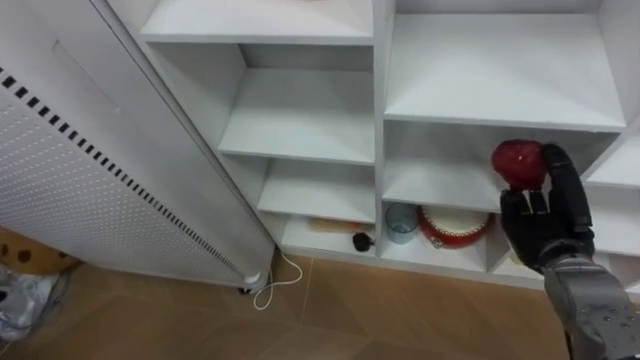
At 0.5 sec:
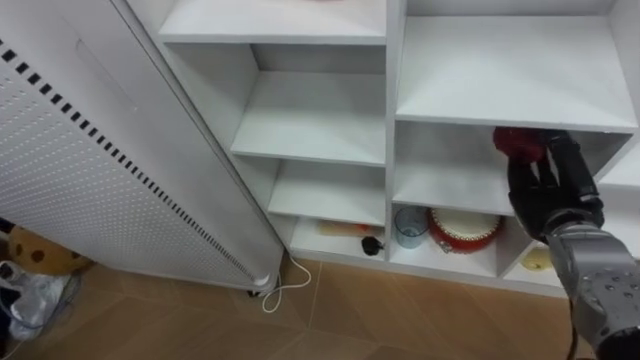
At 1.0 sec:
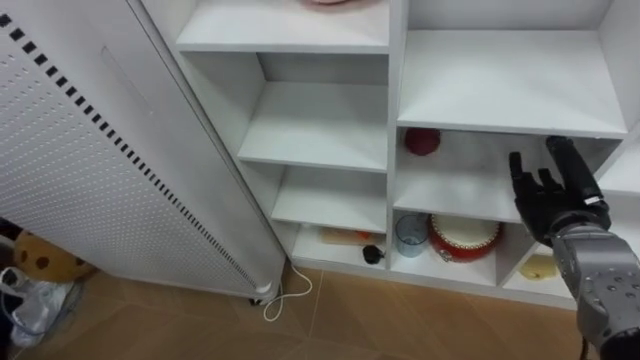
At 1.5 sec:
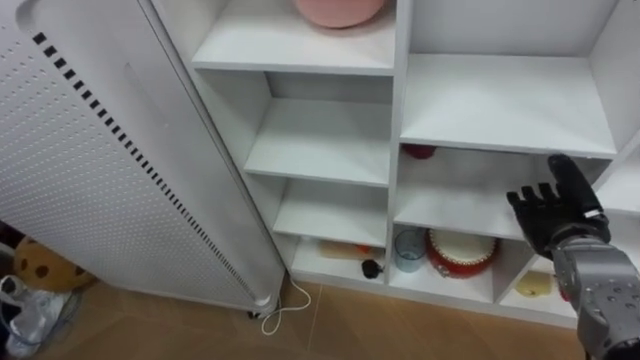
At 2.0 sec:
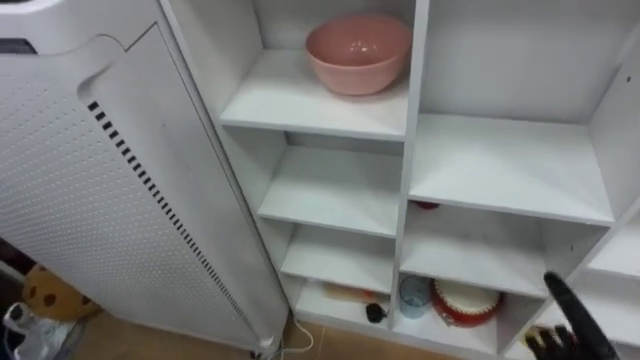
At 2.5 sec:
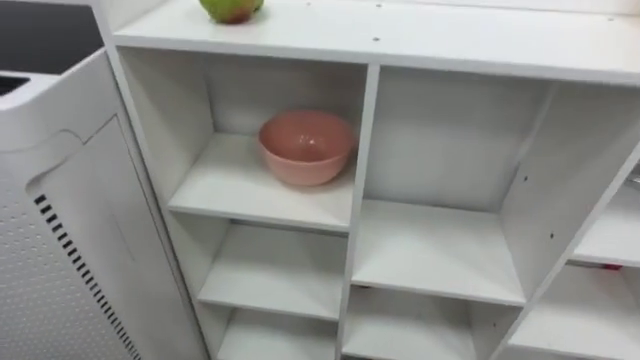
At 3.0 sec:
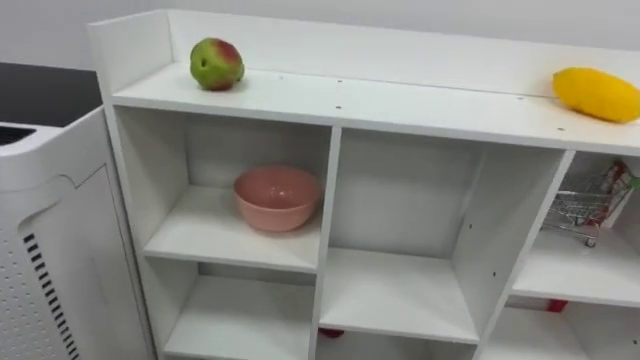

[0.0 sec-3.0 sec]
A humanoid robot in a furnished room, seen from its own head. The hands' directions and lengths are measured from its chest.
Task of the whole recording: Put the apple in the cell in the second column from the left and the second row from the top.
0.0 sec to 1.5 sec: The right hand opens its fingers.

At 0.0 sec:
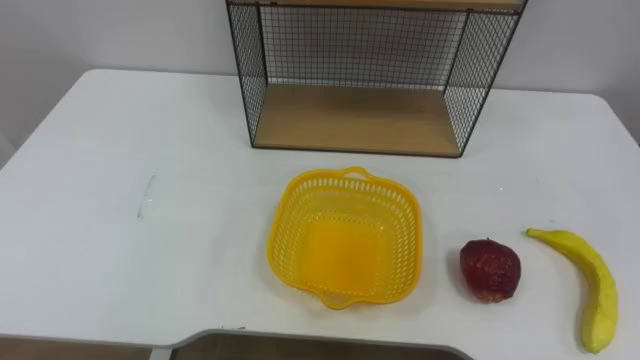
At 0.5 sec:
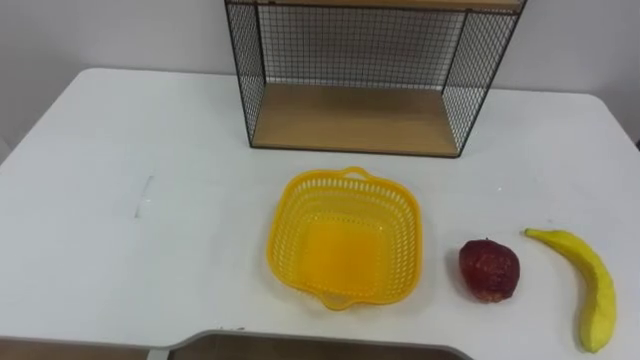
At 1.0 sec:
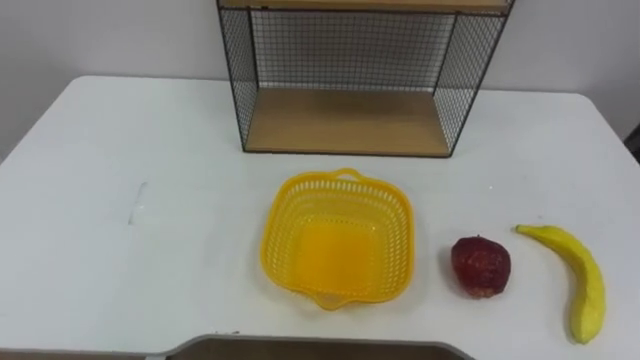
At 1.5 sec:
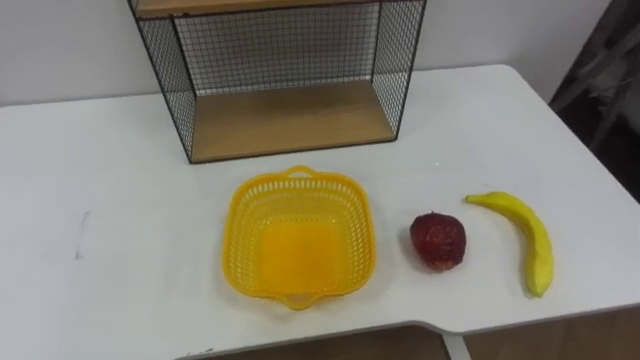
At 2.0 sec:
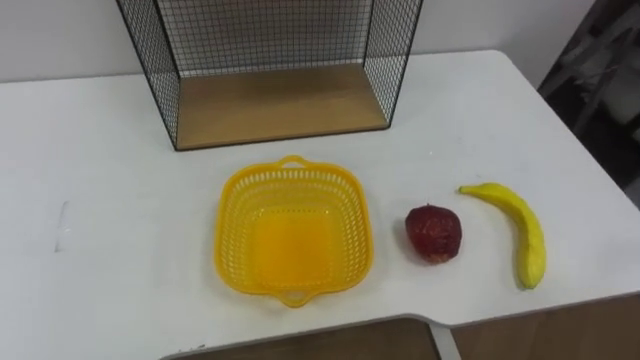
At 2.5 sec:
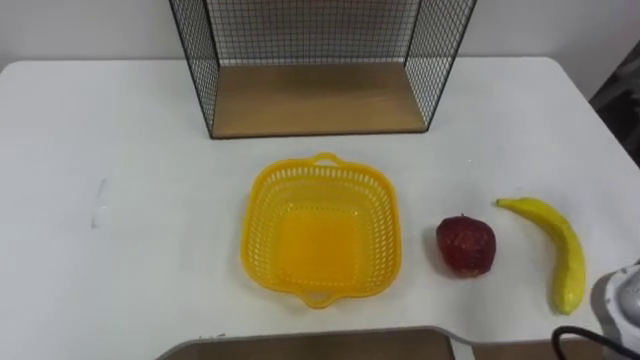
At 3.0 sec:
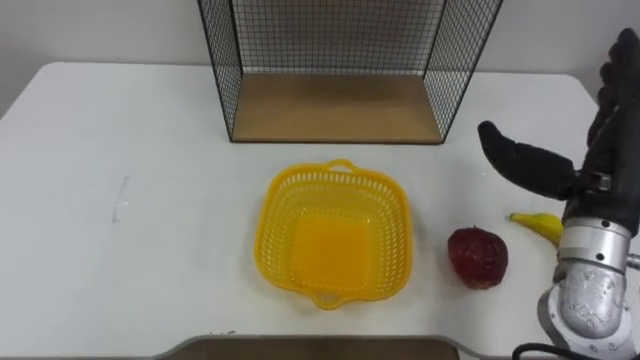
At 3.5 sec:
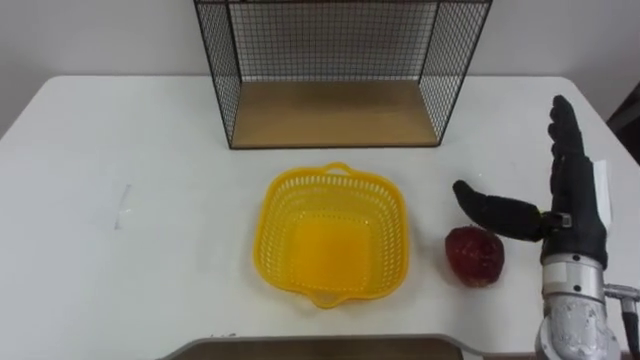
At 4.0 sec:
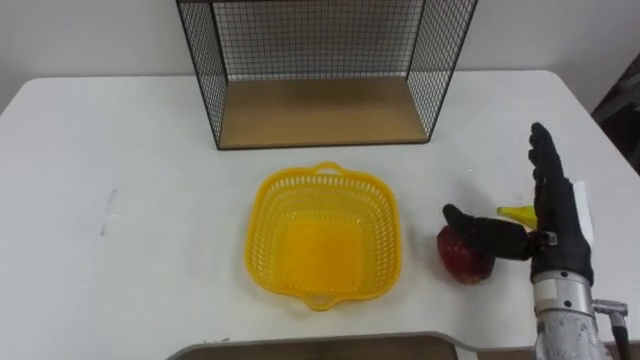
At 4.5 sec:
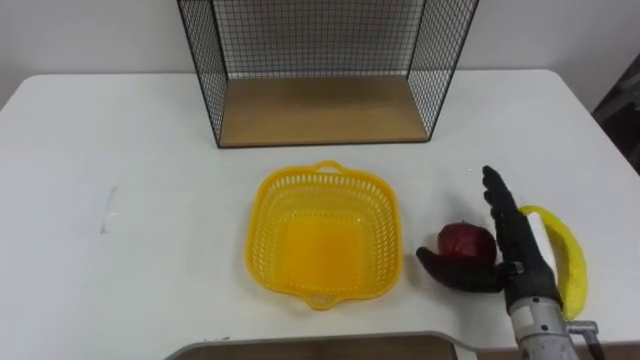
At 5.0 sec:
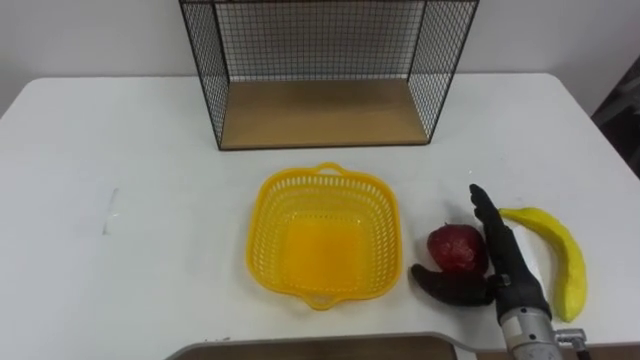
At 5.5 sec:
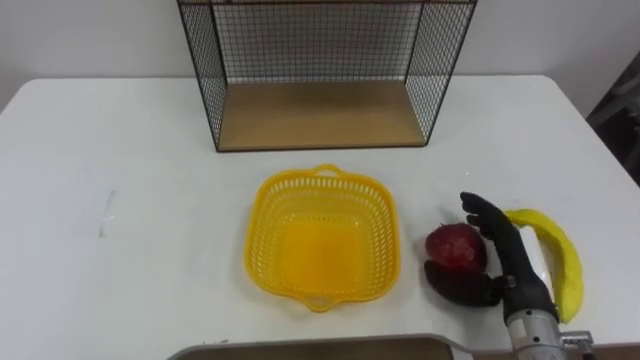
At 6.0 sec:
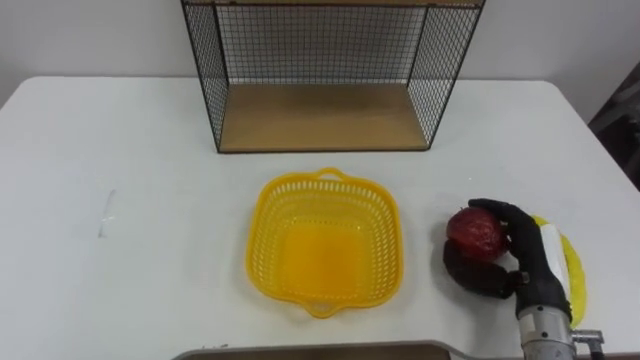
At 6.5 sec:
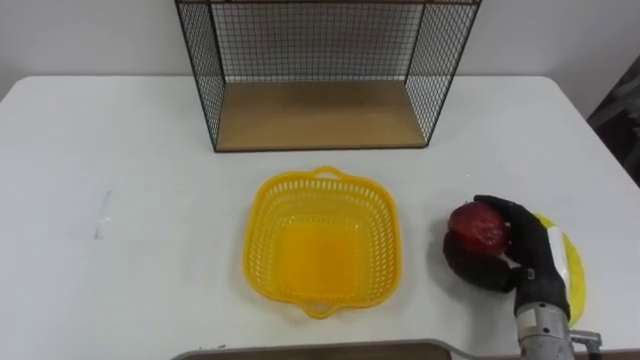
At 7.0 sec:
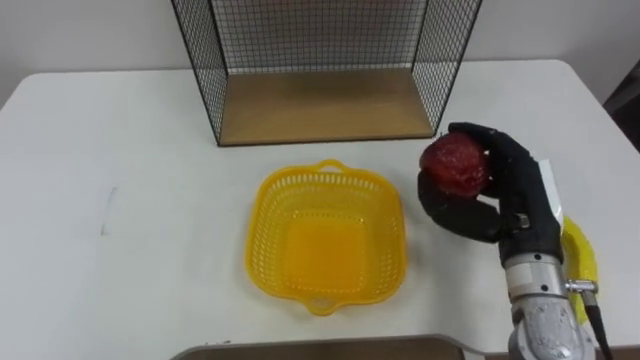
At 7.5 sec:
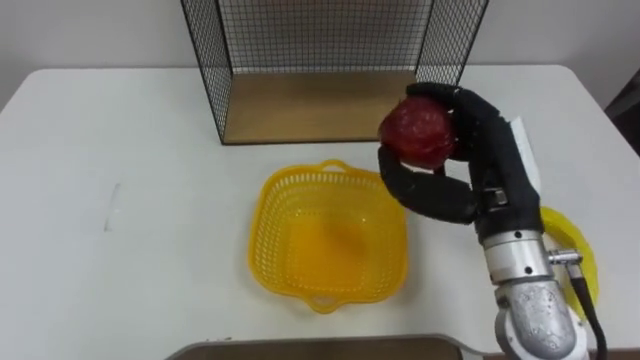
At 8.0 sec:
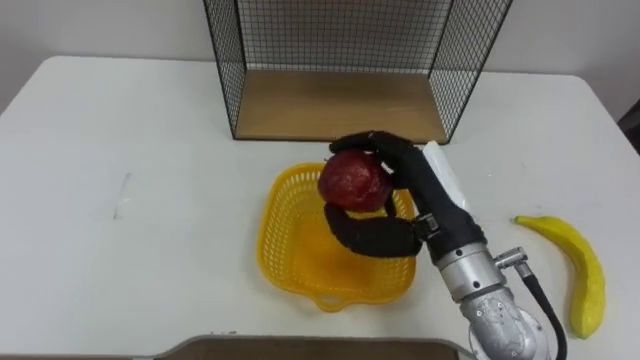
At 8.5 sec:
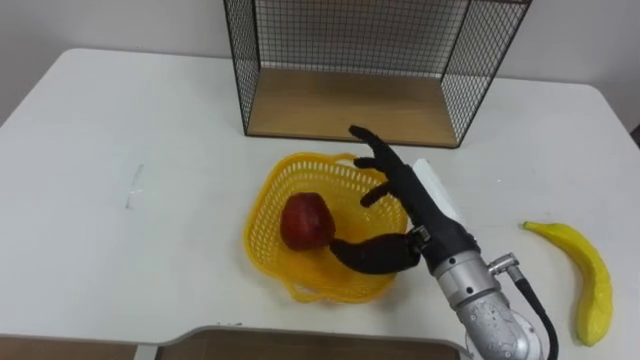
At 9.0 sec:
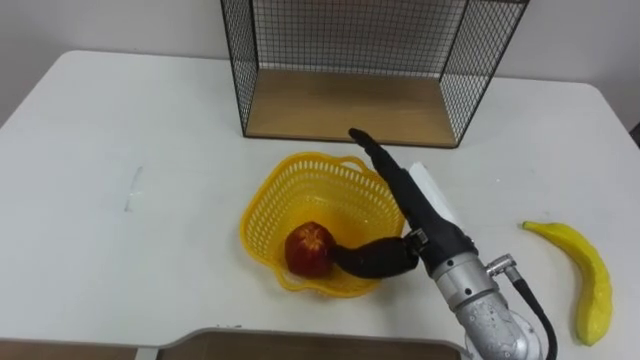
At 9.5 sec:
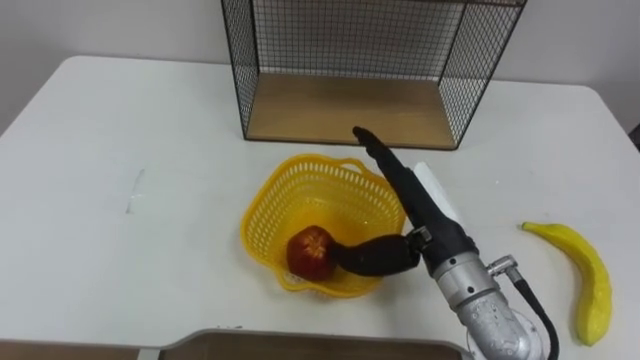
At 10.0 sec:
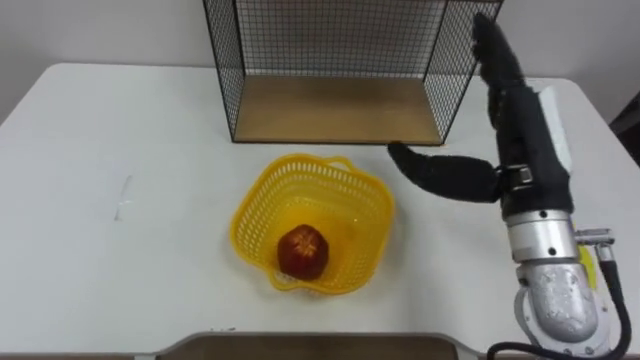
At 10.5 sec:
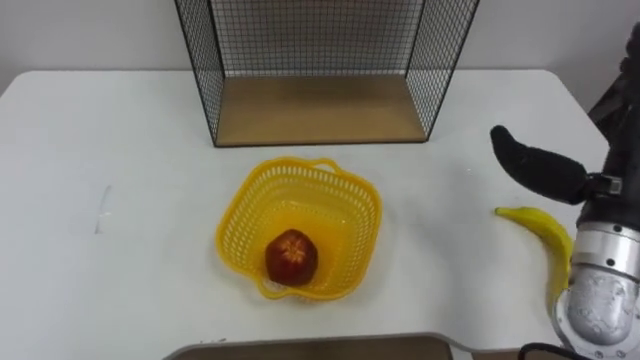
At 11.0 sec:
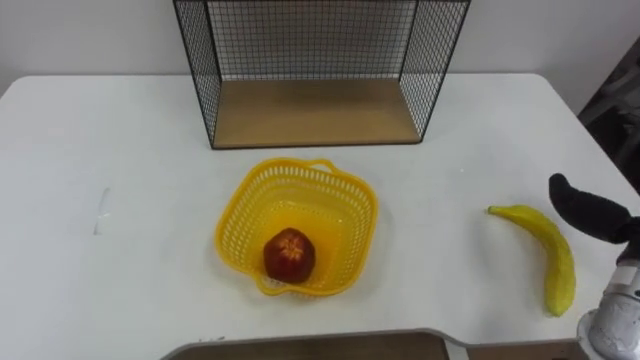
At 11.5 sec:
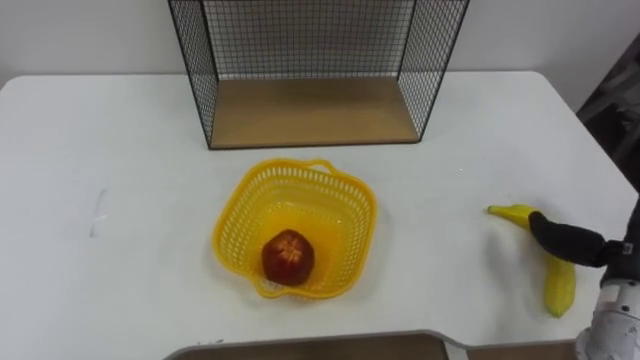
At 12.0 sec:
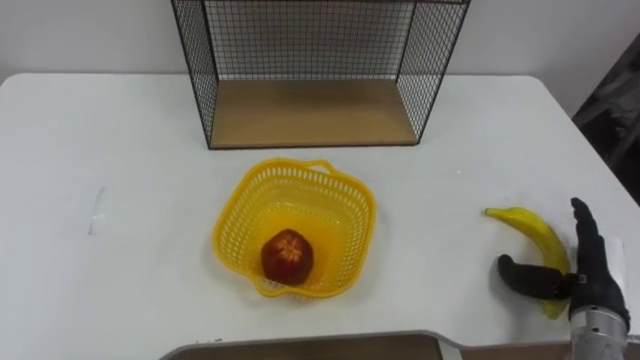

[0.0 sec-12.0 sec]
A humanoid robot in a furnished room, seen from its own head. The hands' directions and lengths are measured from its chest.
Task of the whole recording: Put the fruit on the table into the basket, then place the basket on the shelf.
4.0 sec to 6.0 sec: The right hand heads downward, covering some 10 cm, and closes.
6.0 sec to 8.0 sec: The right hand moves to the left and upward, about 20 cm.
8.0 sec to 10.0 sec: The right hand shifts approximately 10 cm to the right and upward, and opens.

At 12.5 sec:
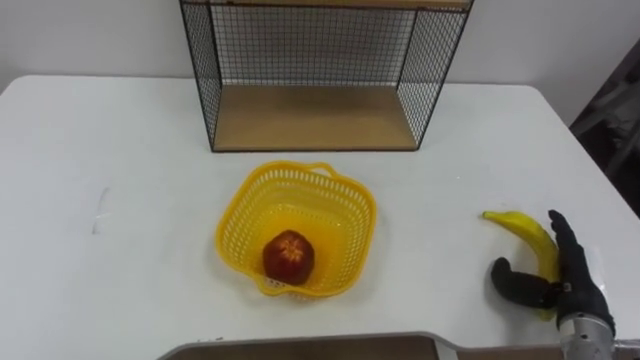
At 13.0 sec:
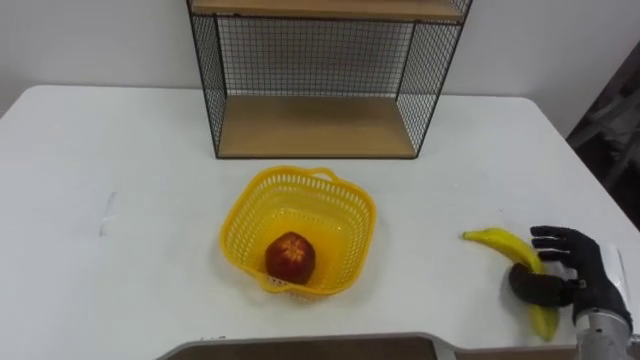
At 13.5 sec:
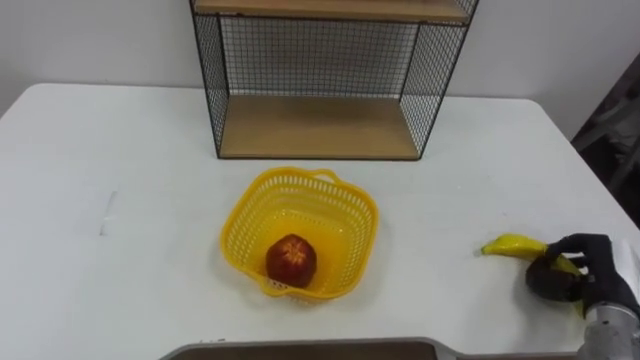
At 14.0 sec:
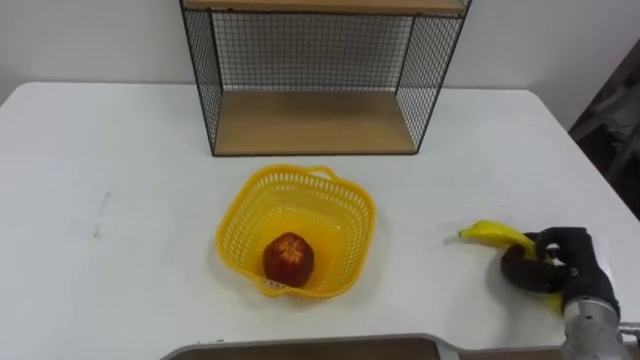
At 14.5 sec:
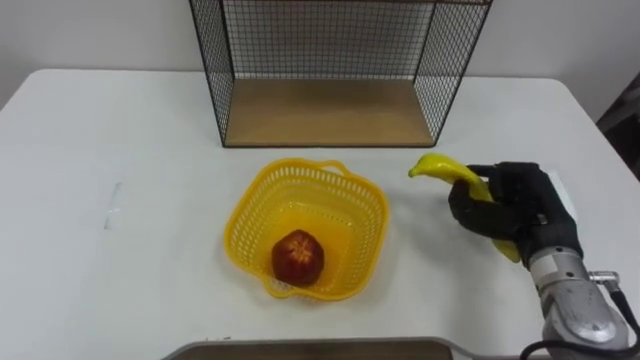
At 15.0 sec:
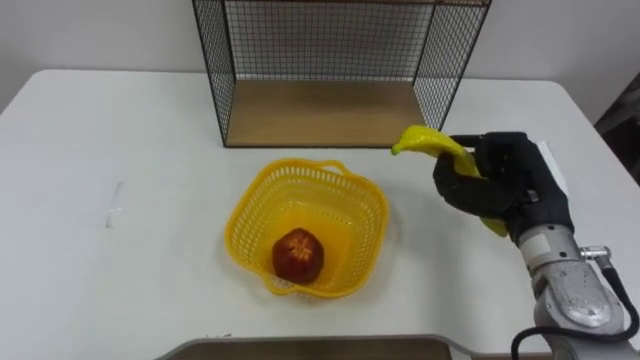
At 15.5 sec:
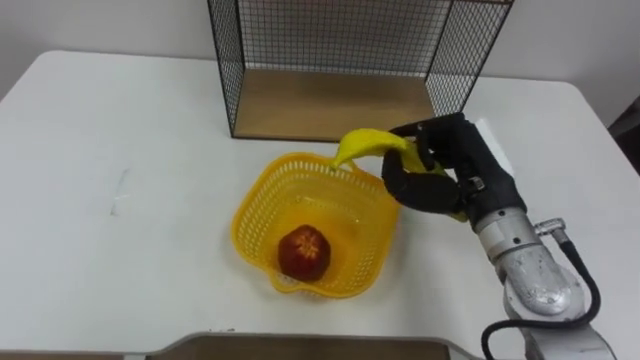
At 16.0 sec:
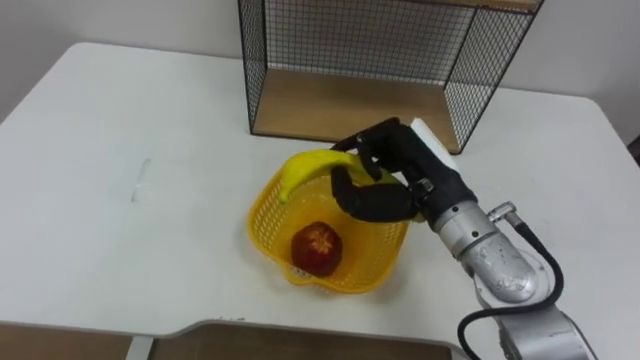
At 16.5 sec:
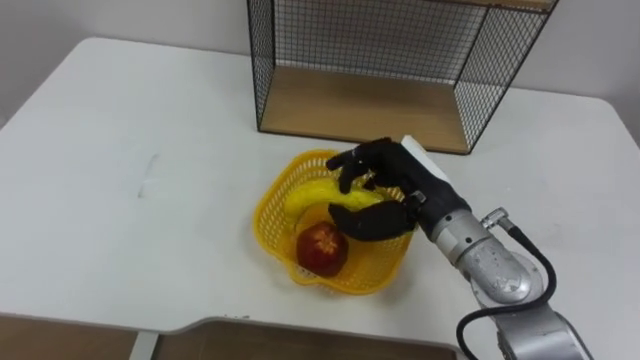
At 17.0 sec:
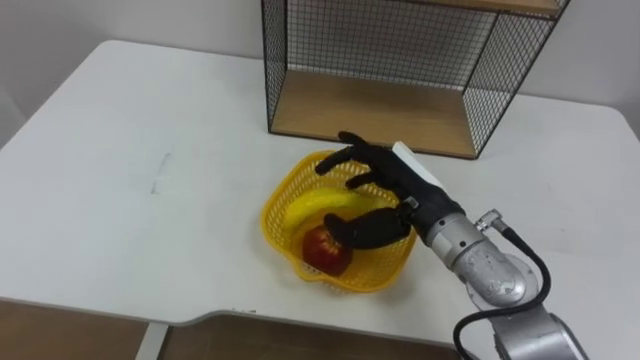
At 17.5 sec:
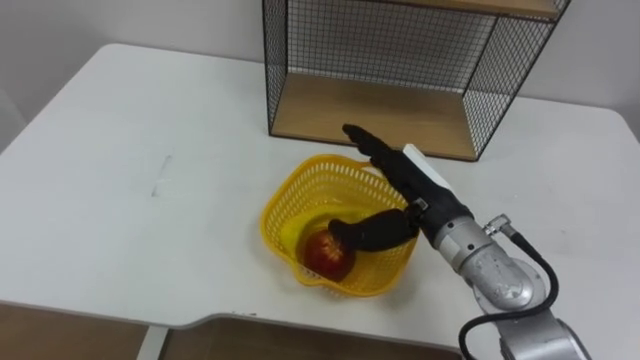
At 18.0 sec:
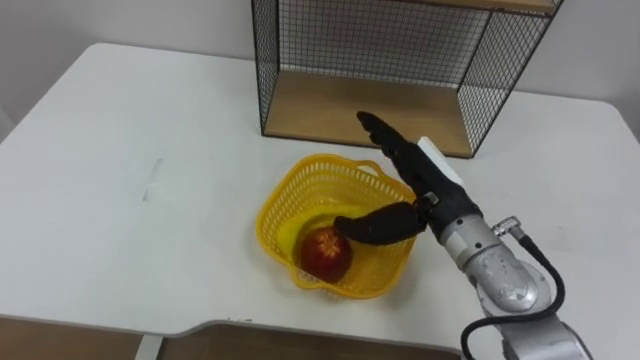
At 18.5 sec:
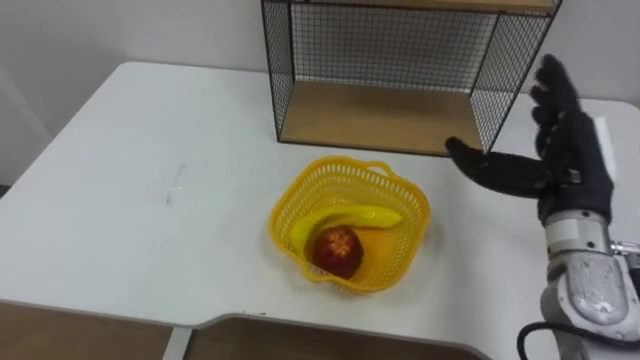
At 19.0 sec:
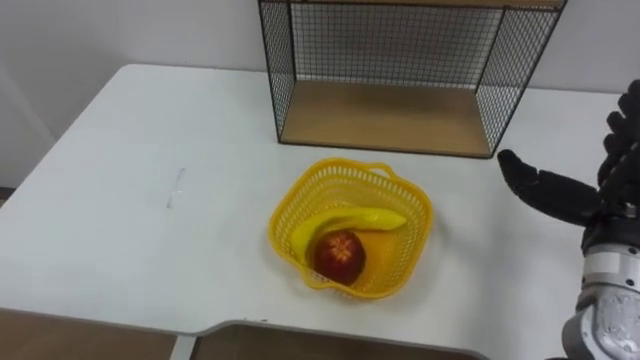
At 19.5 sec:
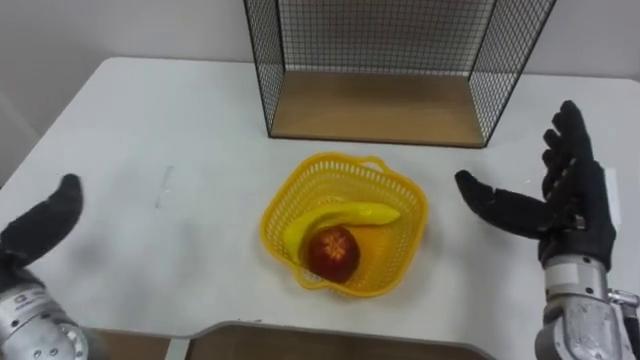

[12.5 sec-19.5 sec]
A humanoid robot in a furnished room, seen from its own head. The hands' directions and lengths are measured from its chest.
Task of the whole recording: Put the fruit on the table into the basket, then place the basket on the shelf.
12.5 sec to 14.5 sec: The right hand travels upward, to the left and forward by some 10 cm, and closes up.
14.5 sec to 16.0 sec: The right hand is displaced to the left and upward by some 15 cm.
16.0 sec to 17.5 sec: The right hand opens its fingers.
17.5 sec to 19.5 sec: The right hand goes approximately 15 cm to the right.
